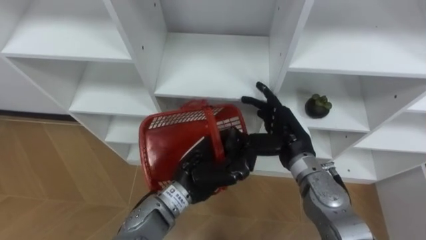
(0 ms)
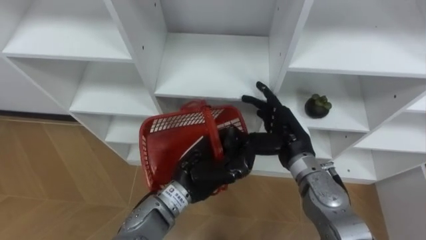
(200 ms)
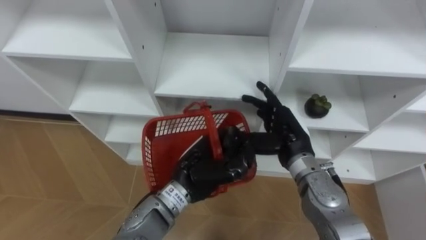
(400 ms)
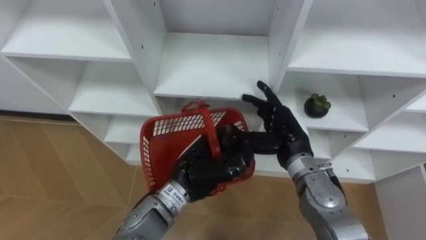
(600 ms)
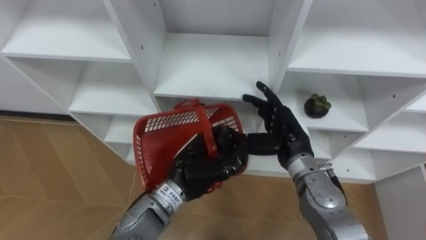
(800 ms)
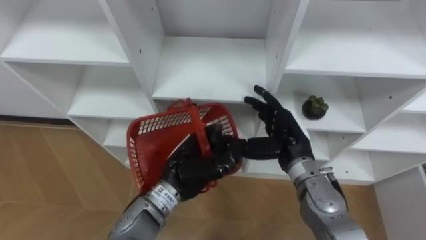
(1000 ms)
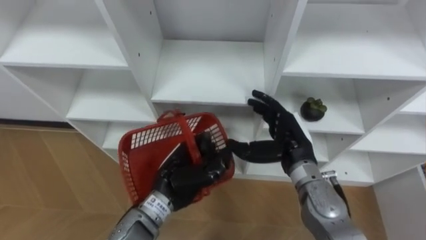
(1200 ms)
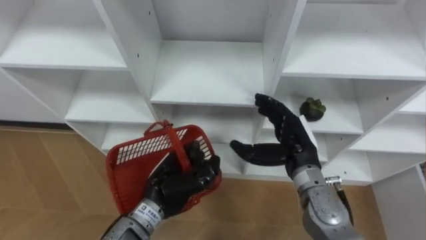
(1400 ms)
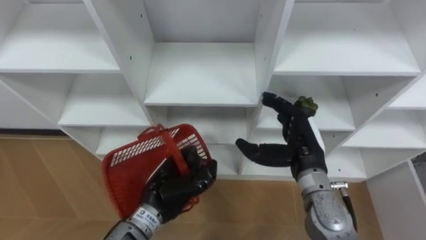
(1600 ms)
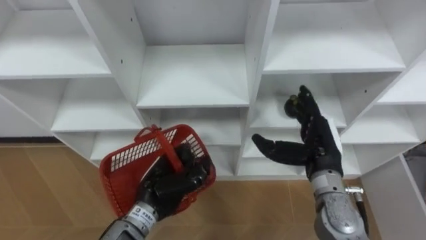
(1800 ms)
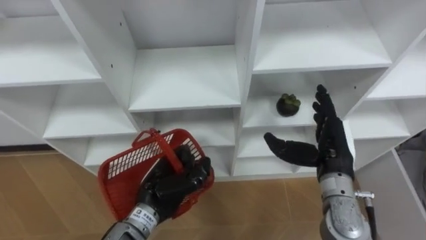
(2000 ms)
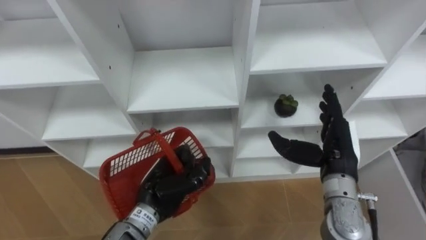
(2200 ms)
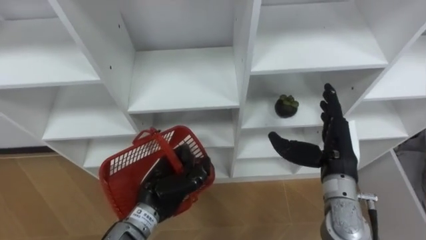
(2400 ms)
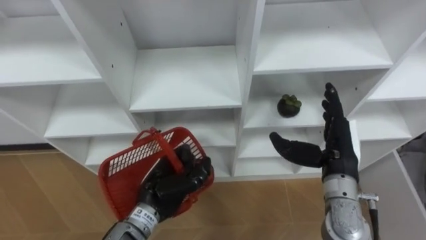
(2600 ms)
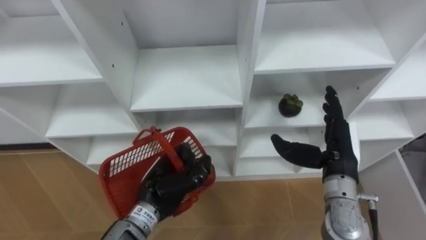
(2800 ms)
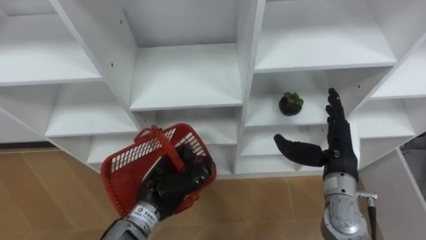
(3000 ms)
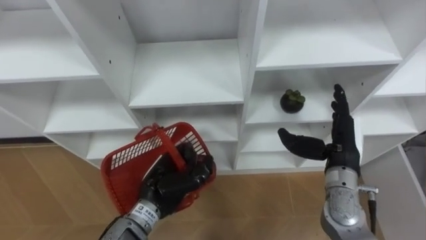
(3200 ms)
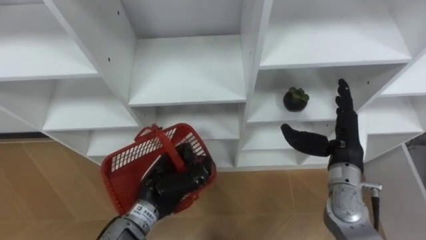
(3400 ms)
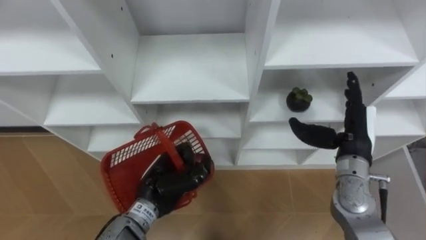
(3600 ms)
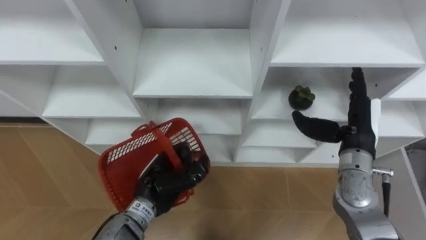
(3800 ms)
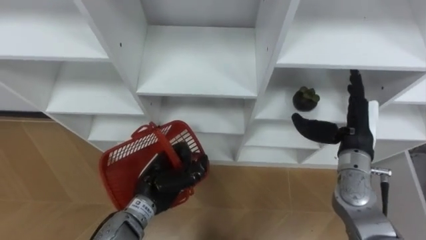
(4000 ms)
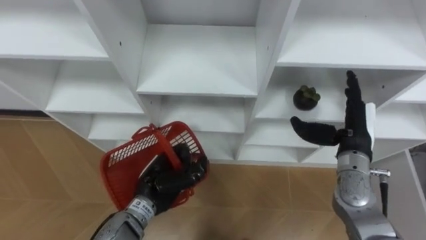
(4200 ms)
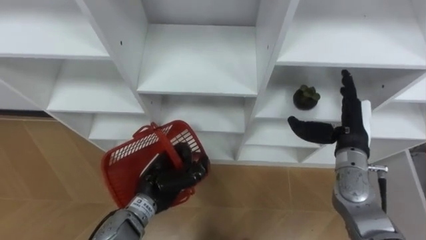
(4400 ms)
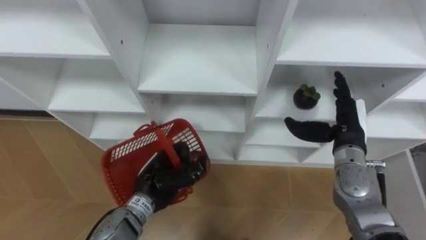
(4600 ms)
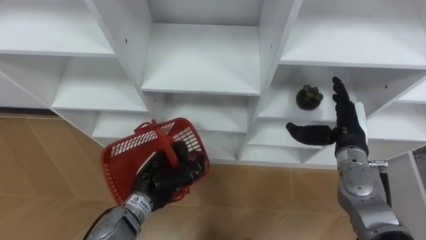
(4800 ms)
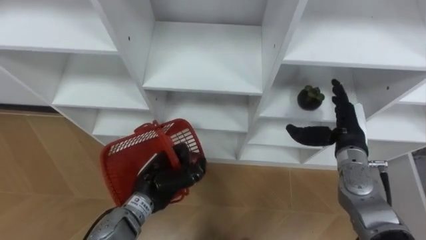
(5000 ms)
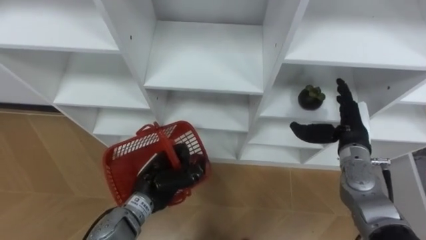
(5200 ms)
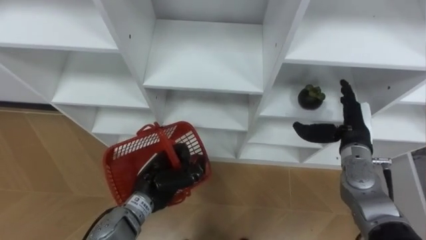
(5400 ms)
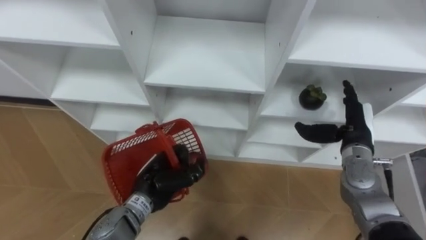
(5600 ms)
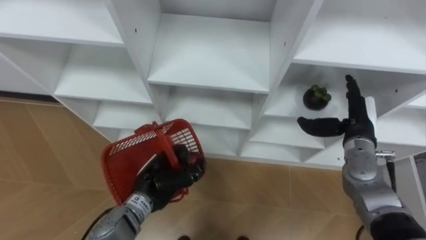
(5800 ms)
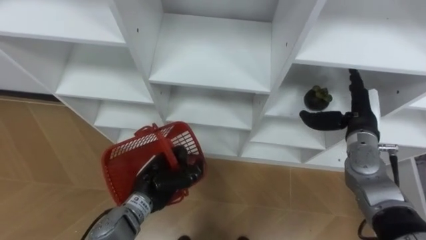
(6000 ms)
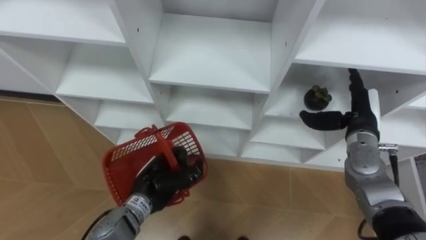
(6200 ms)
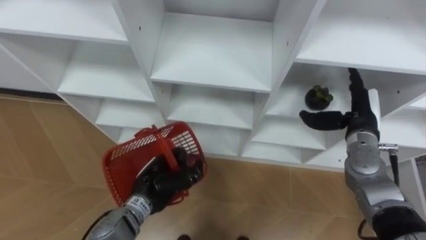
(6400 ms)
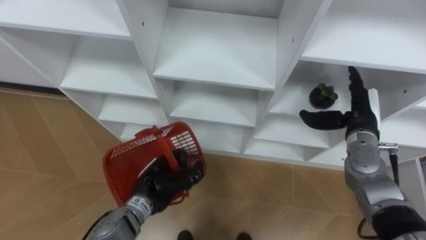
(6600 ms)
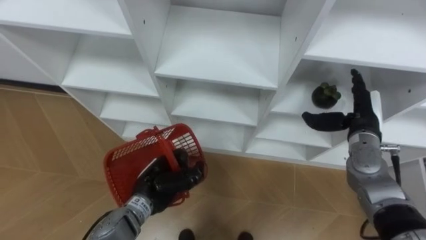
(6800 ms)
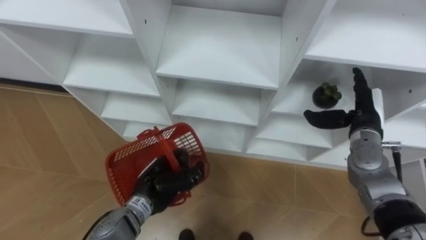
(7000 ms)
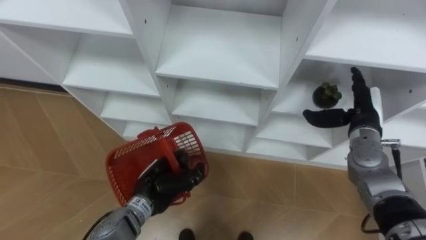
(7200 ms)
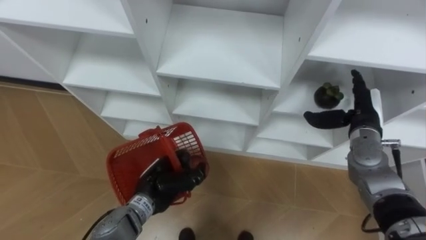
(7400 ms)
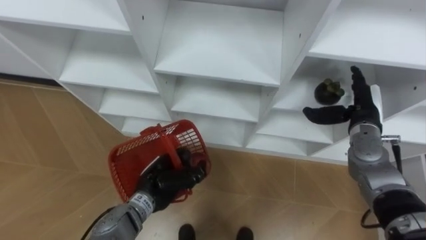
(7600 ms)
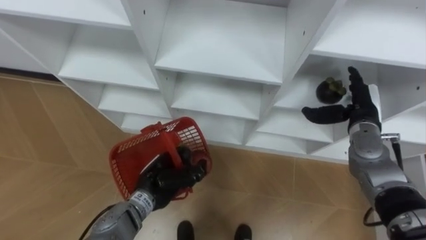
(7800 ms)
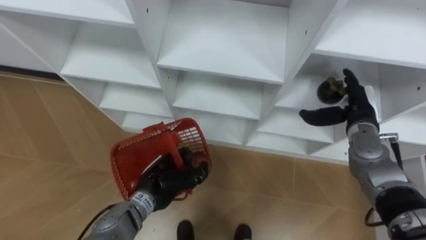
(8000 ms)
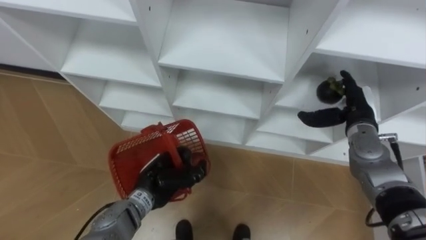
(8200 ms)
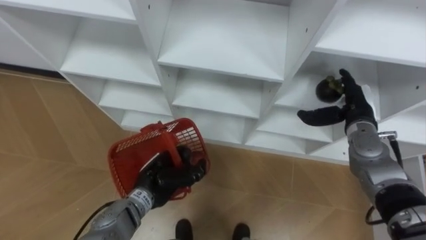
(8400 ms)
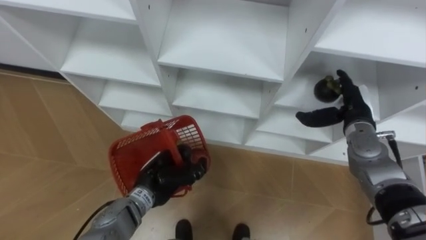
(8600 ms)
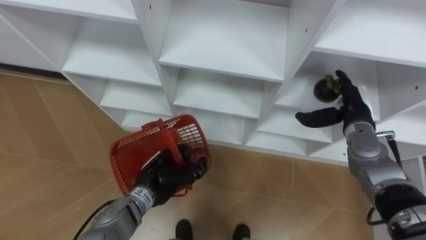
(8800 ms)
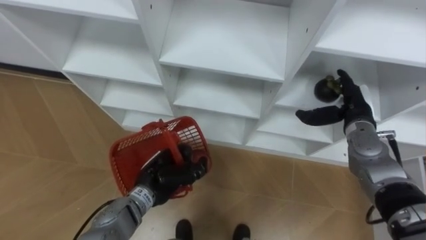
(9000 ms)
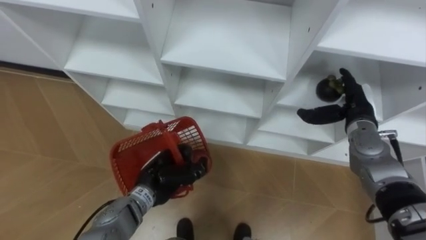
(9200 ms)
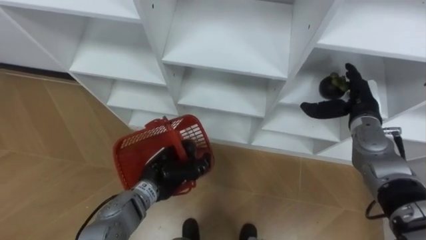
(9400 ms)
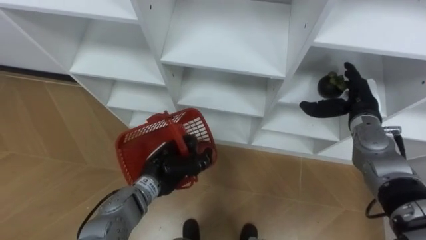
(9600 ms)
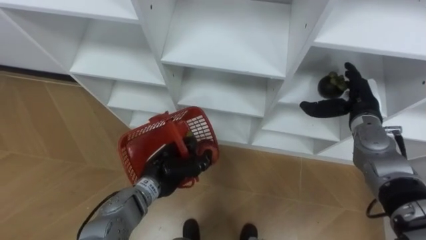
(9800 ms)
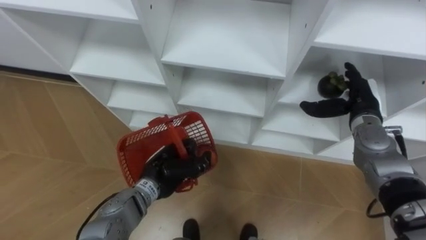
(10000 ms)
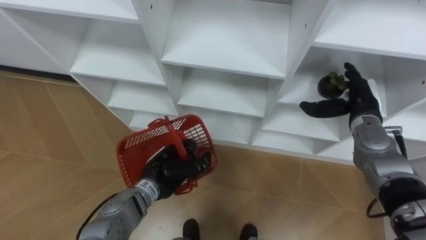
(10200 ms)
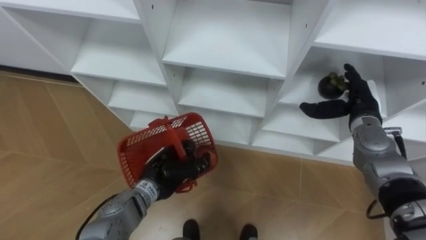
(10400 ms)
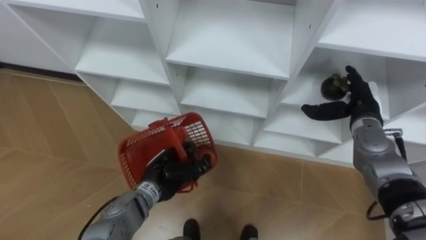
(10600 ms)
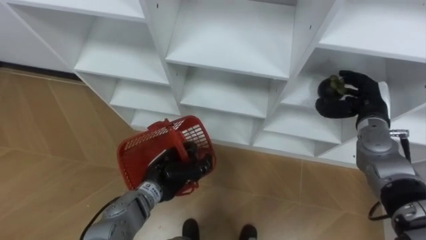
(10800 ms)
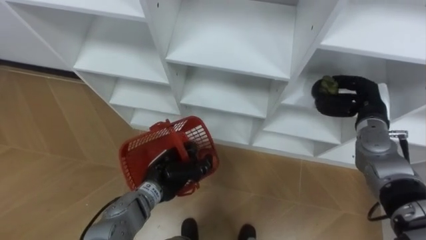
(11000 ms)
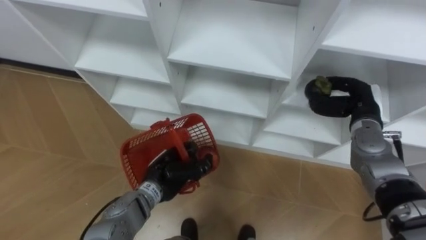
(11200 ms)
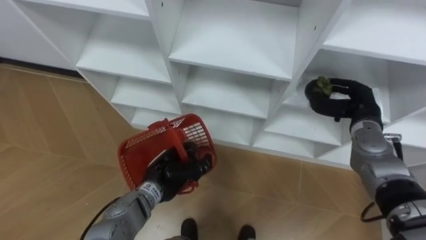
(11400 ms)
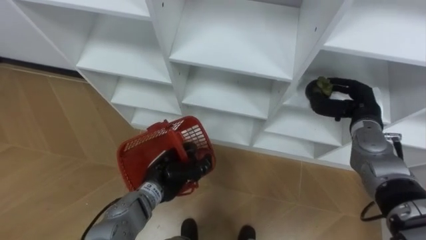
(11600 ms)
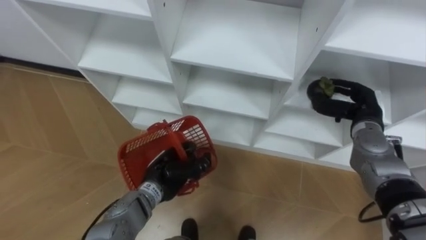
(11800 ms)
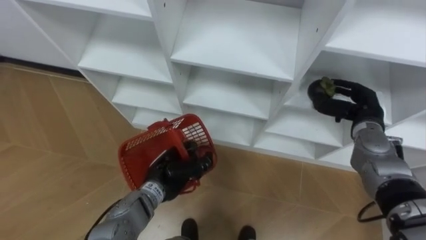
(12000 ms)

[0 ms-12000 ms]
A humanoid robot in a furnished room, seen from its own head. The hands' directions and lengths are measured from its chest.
Task of the whole recording: Hold the basket and collect the fruits from 3 different cells of the closet into it.
0 ms to 1600 ms: The left hand moves to the left, some 5 cm.
1600 ms to 3000 ms: The right hand goes approximately 5 cm to the right.
3000 ms to 4400 ms: The right hand ends up approximately 5 cm from where it was.
9000 ms to 10400 ms: The hands make only small movements.
10400 ms to 12000 ms: The right hand closes.

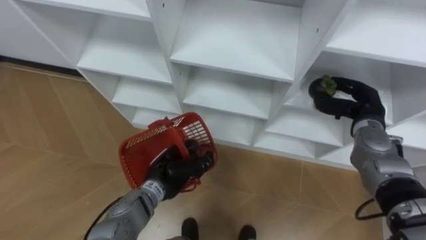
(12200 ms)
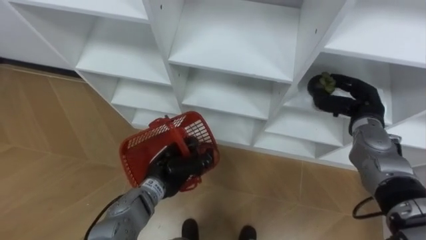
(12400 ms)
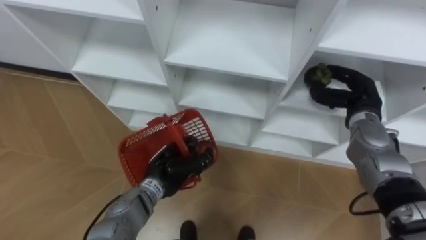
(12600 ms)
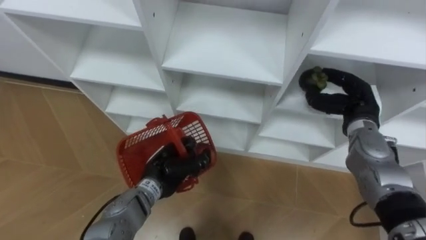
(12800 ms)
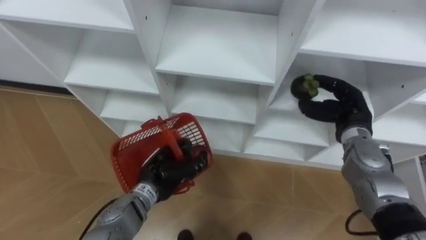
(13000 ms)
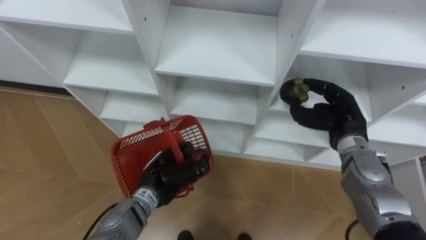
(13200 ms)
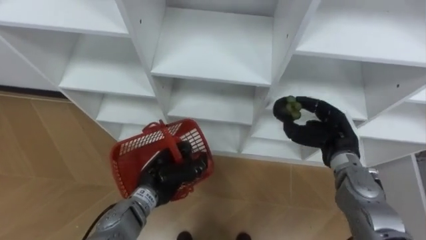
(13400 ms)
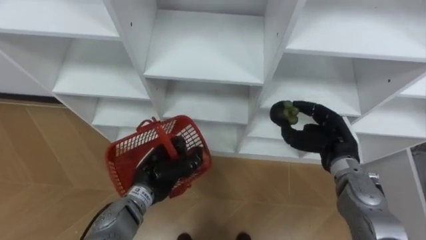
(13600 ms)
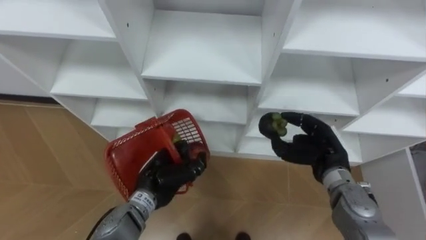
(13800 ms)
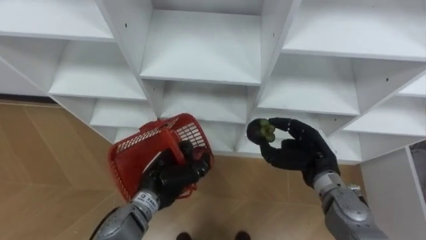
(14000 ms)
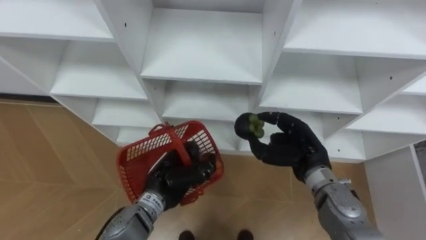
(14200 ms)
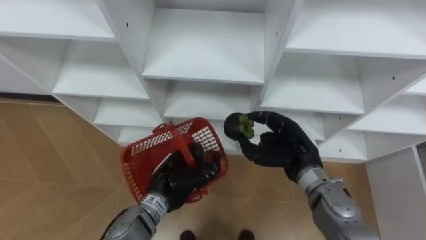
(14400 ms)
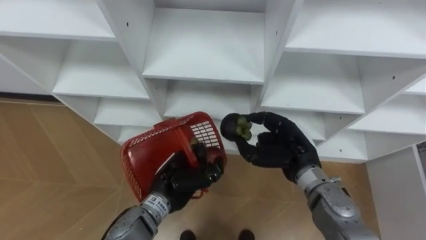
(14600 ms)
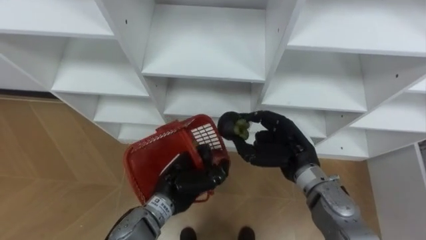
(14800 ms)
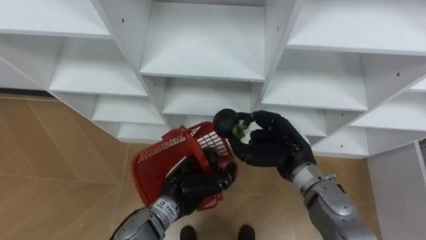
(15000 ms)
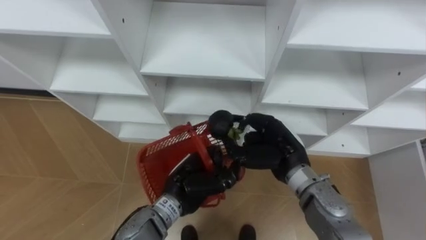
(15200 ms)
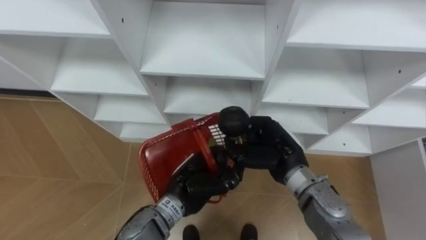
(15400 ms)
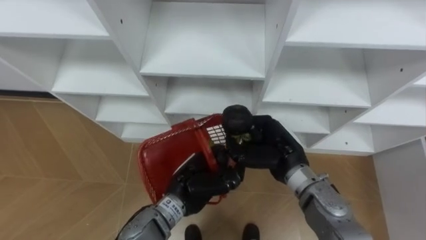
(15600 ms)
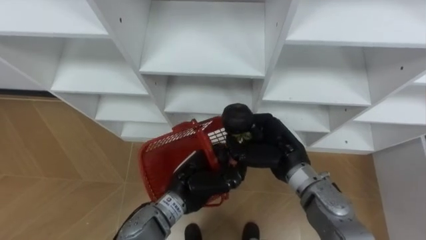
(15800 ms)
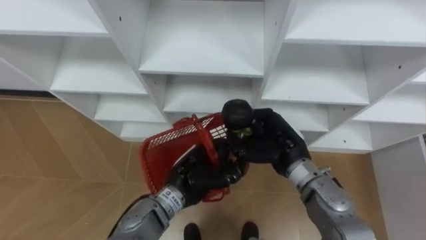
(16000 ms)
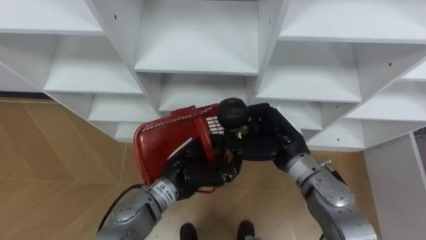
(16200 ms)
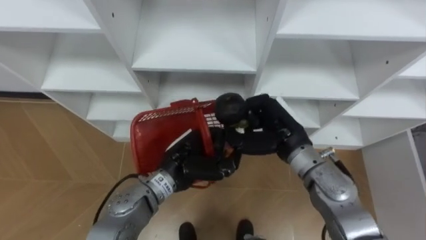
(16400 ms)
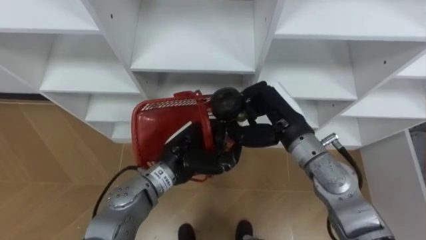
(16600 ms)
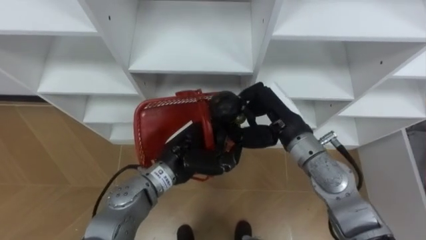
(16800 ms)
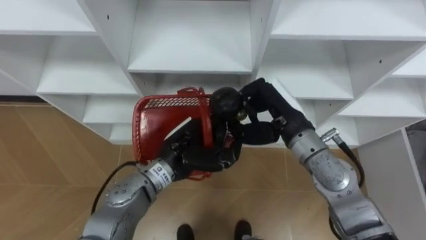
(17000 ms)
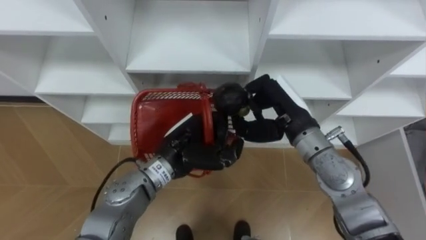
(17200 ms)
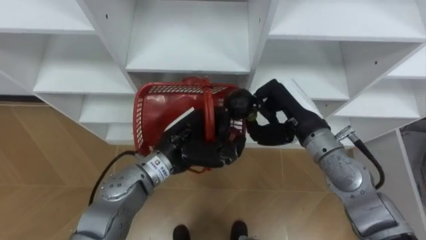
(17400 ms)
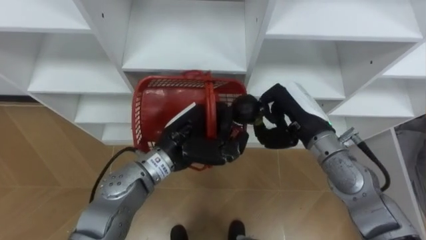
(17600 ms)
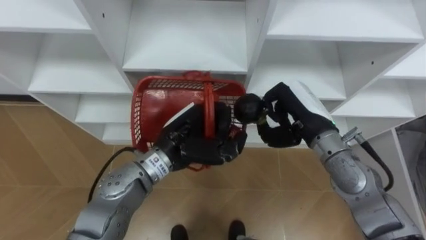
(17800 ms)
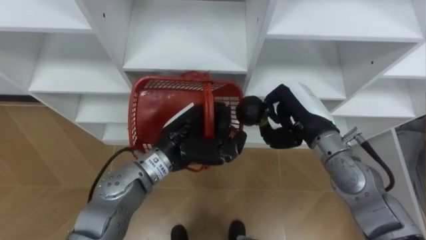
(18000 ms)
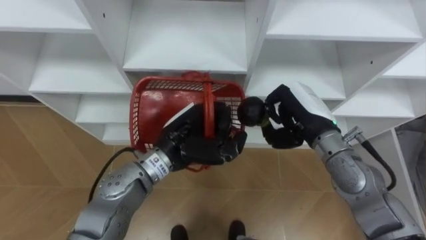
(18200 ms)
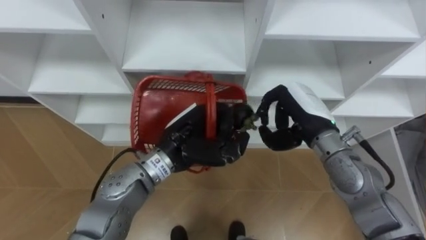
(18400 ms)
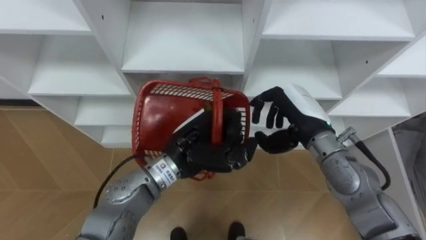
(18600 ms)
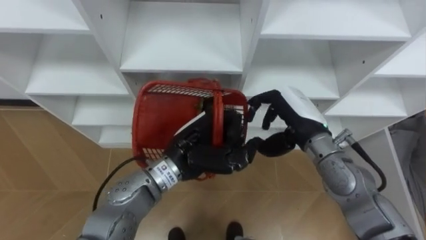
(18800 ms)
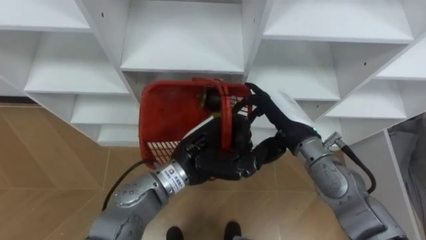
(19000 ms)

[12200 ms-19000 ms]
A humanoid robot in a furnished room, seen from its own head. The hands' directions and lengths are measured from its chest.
Task of the whole recording: Hold the basket and collect the fruits from 3 different cells of the closet into it.
12200 ms to 13600 ms: The right hand shifts approximately 10 cm to the left and backward.
13600 ms to 15000 ms: The left hand goes approximately 5 cm to the right, while the right hand moves to the left, roughly 10 cm.
16200 ms to 17600 ms: The left hand shifts roughly 5 cm upward; the right hand moves some 5 cm.
17600 ms to 19000 ms: The right hand opens up.
